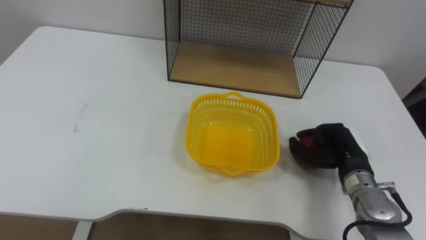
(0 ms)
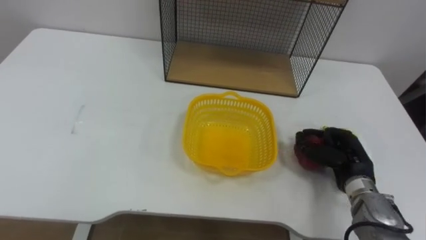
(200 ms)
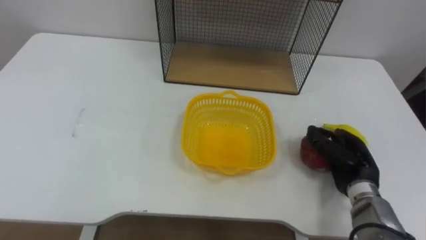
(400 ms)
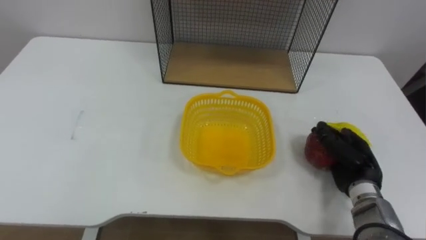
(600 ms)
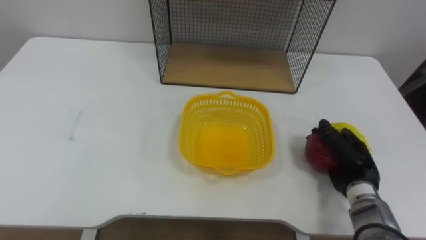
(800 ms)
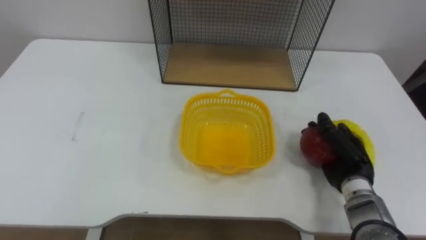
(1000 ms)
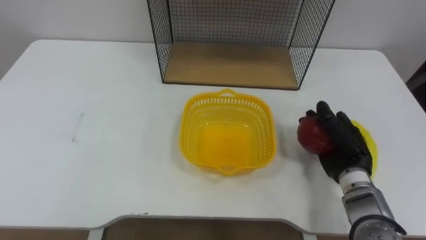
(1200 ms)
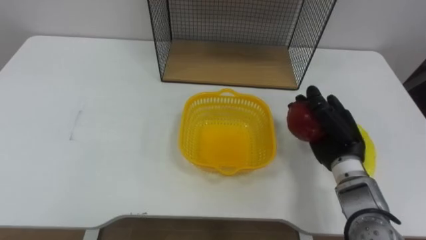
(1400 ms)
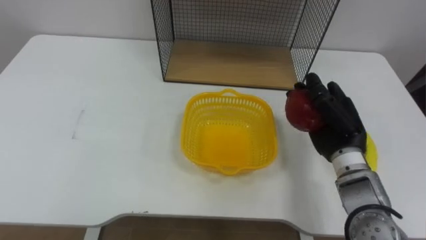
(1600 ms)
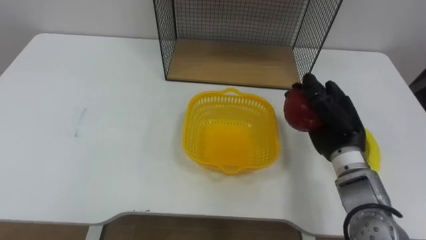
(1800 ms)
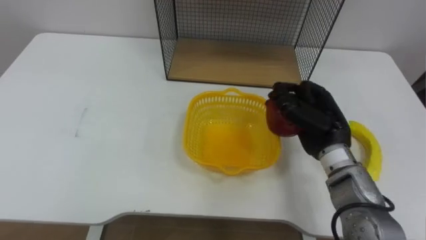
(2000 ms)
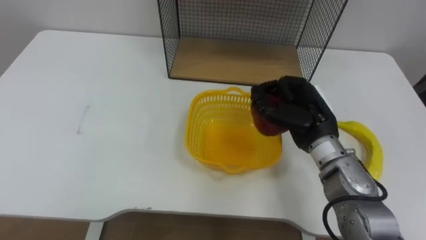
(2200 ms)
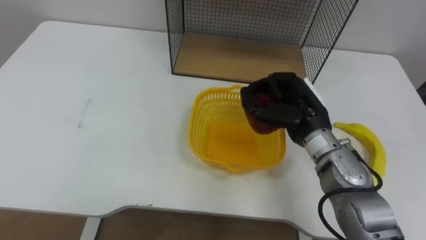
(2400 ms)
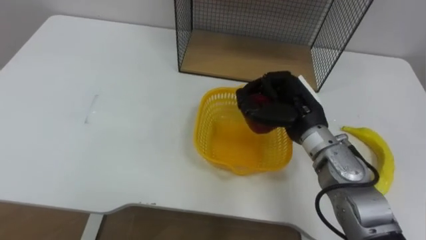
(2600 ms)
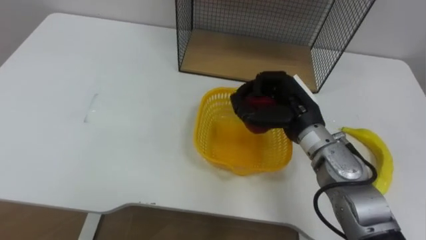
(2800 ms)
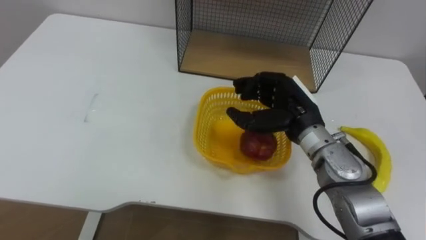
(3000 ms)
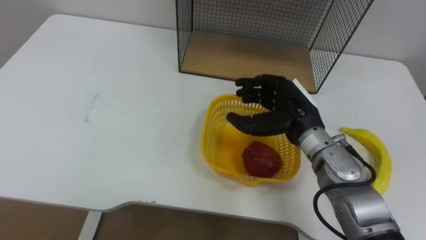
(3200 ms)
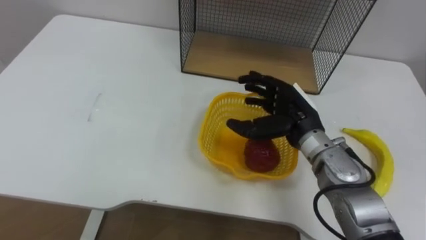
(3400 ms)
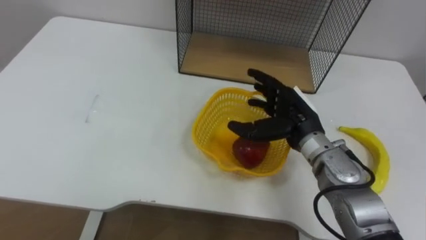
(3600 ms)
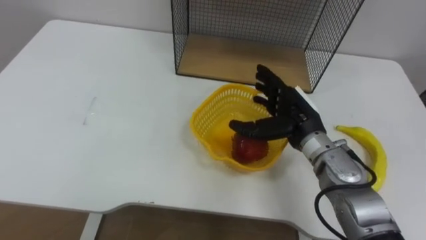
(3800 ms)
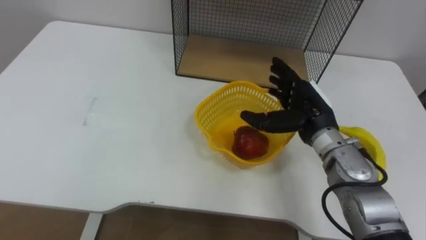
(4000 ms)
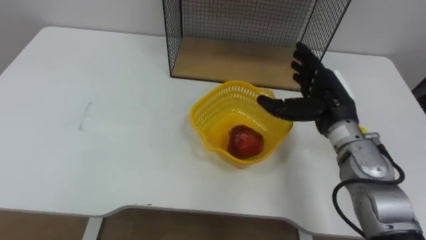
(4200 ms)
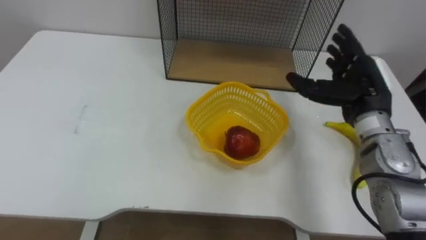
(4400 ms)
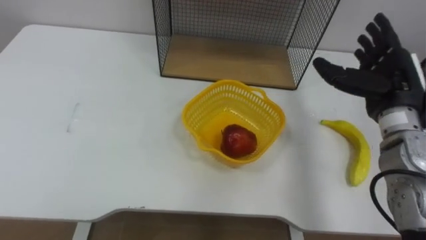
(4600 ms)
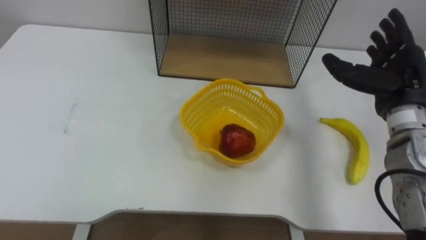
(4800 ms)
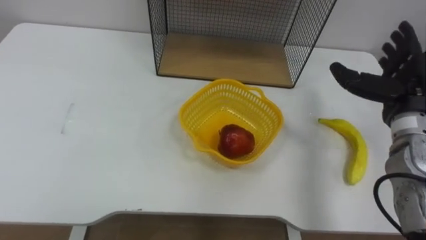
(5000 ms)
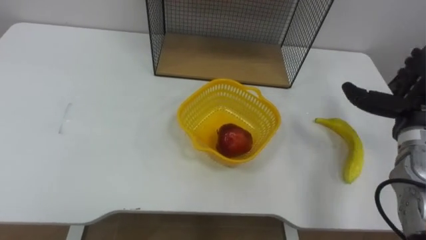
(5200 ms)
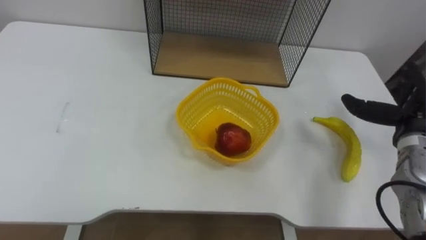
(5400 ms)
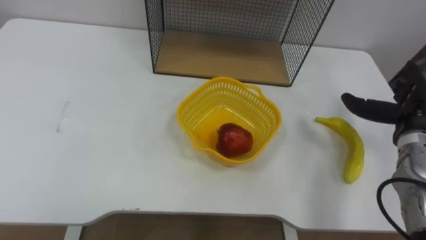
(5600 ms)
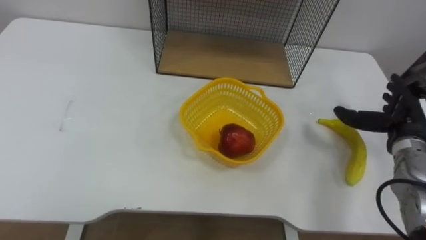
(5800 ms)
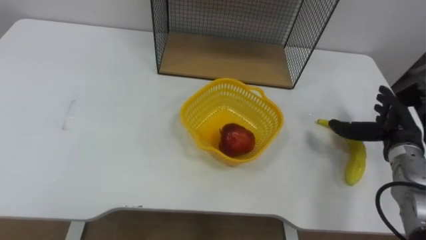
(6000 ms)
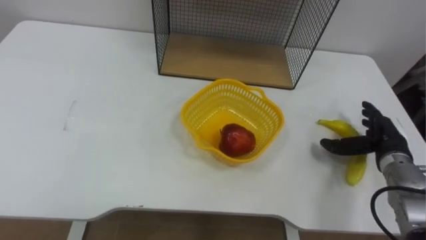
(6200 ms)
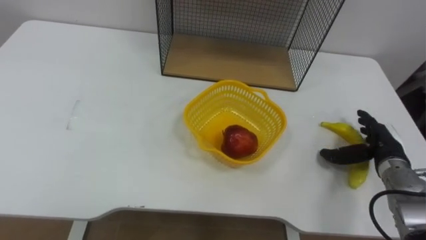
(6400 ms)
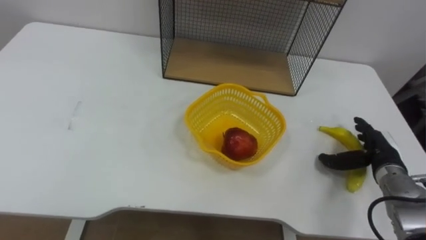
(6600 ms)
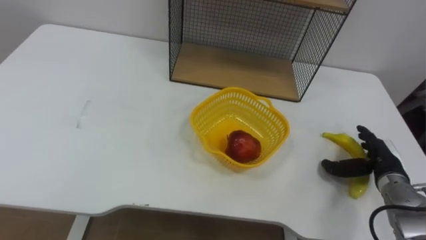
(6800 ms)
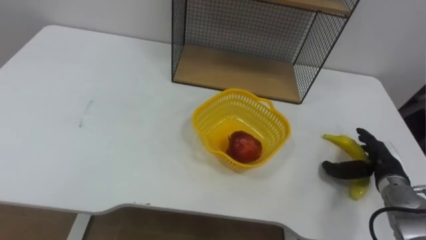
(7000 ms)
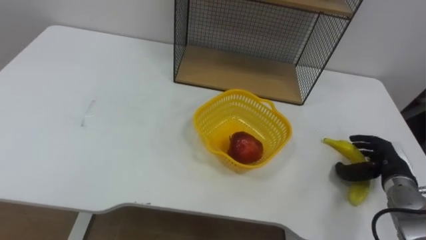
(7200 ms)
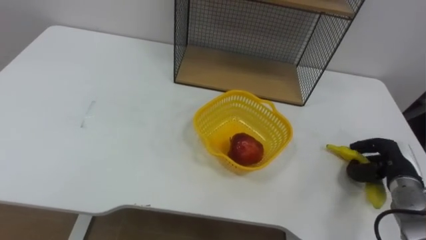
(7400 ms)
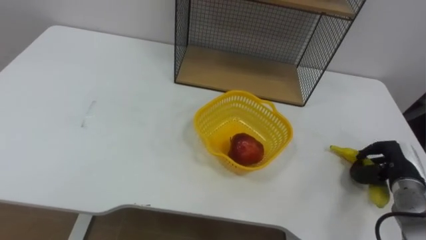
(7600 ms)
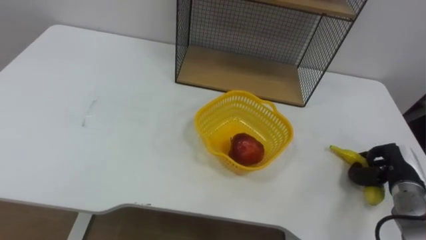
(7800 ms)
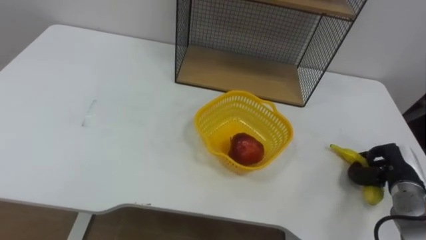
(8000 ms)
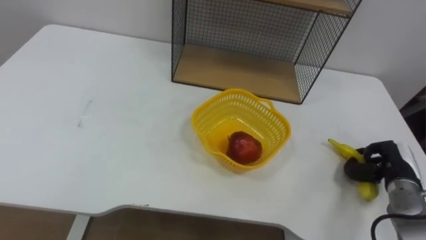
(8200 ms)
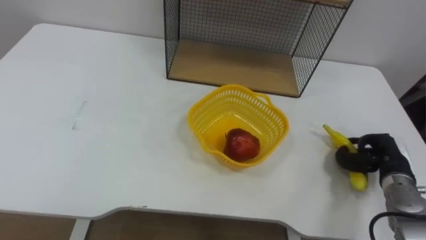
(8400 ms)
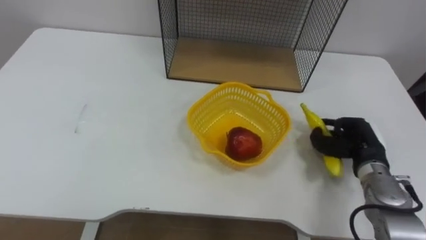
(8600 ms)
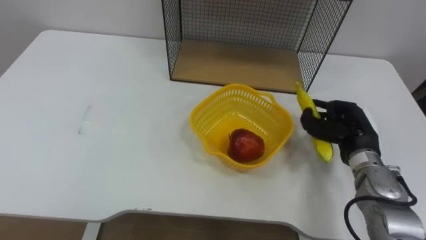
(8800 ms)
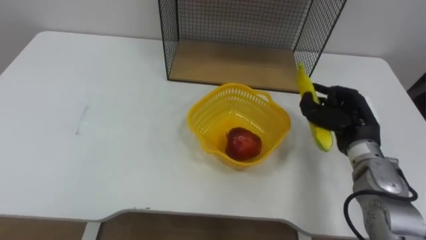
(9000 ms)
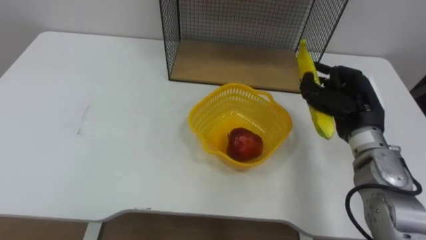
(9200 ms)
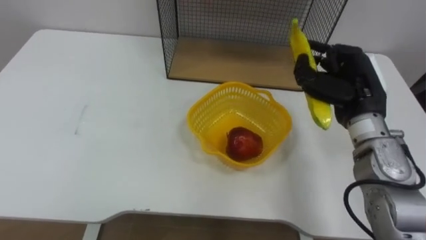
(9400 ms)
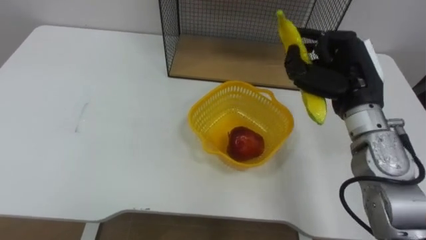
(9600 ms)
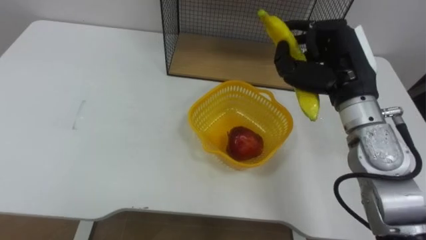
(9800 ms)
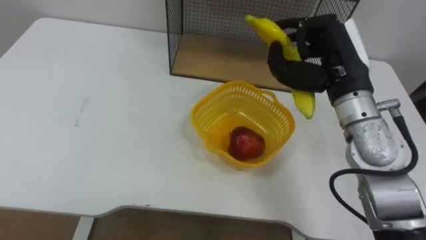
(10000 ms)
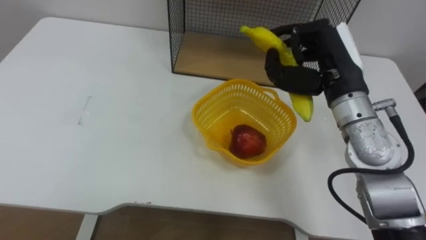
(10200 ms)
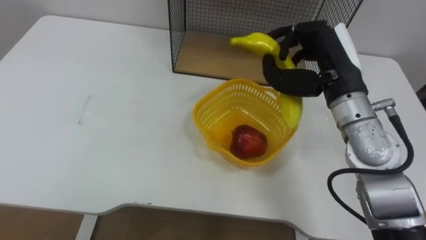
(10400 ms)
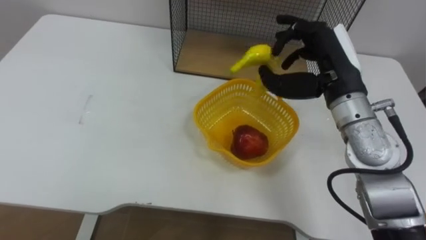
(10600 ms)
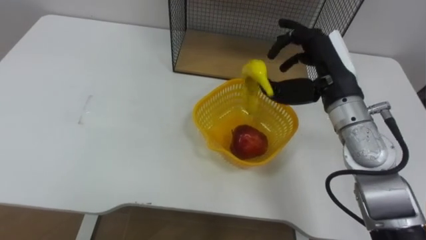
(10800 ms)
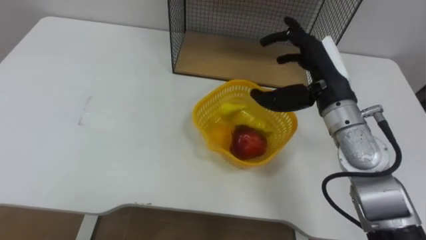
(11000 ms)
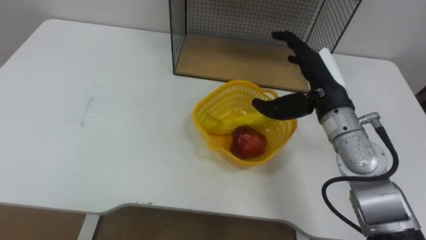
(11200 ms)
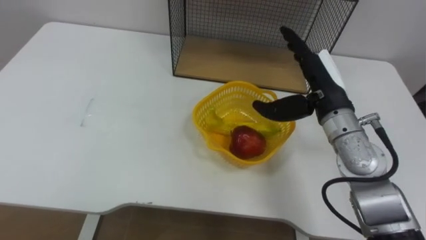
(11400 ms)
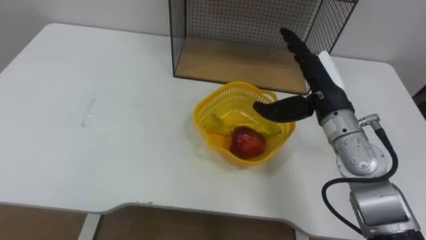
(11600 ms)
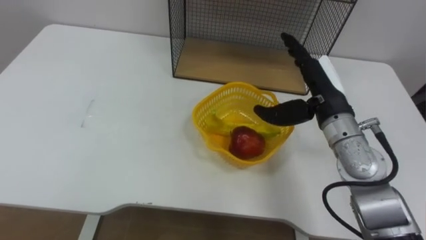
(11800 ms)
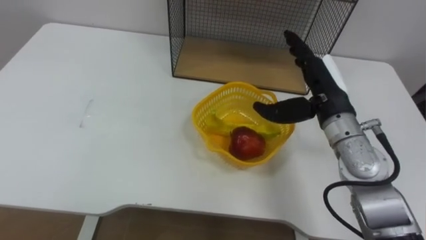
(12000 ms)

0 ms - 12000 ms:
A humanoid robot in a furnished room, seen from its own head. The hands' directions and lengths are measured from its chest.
Task of the whole recording: Put the fruit on the table into the basket, then place the basket on the shelf.
0 ms - 1600 ms: The right hand moves upward, some 10 cm.
1600 ms - 3000 ms: The right hand heads to the left, covering approximately 10 cm.
3000 ms - 4400 ms: The right hand travels to the right by some 10 cm, and opens.
4400 ms - 6000 ms: The right hand moves to the right and downward, roughly 15 cm.
6000 ms - 7600 ms: The right hand shifts roughly 10 cm downward and backward, and closes.
7600 ms - 9000 ms: The right hand is displaced to the left, upward and forward by about 15 cm.
9000 ms - 10400 ms: The right hand moves upward and to the left, about 15 cm.
10400 ms - 12000 ms: The right hand goes roughly 5 cm downward, and opens.

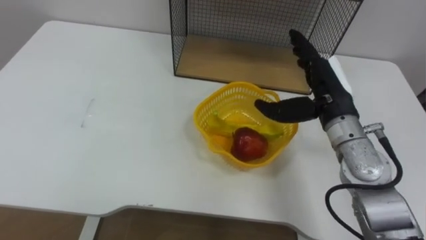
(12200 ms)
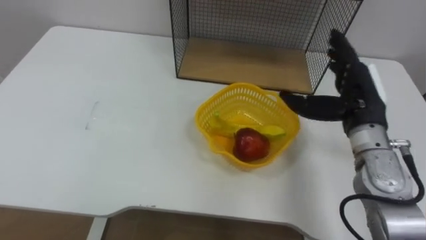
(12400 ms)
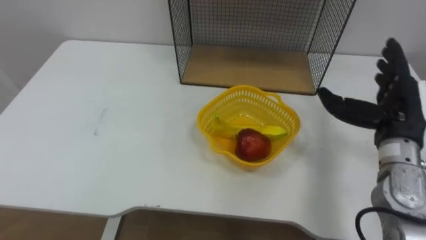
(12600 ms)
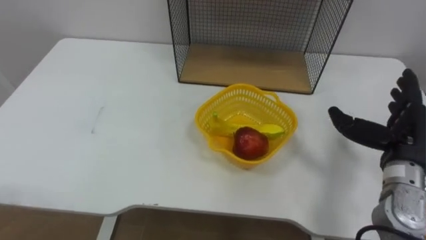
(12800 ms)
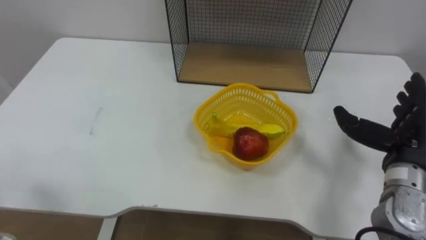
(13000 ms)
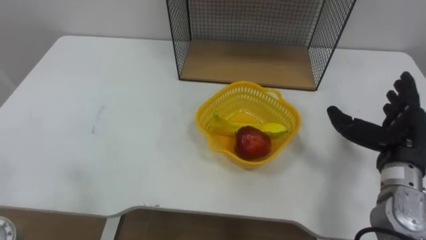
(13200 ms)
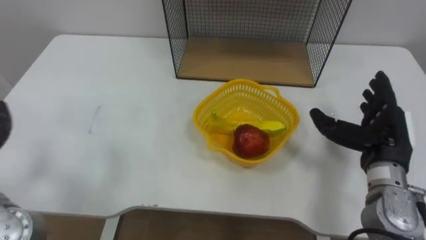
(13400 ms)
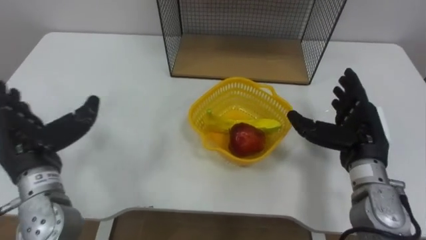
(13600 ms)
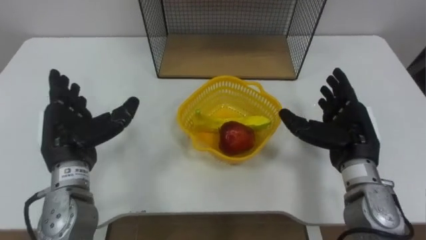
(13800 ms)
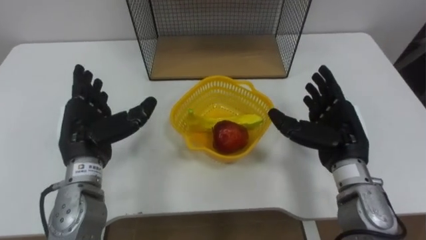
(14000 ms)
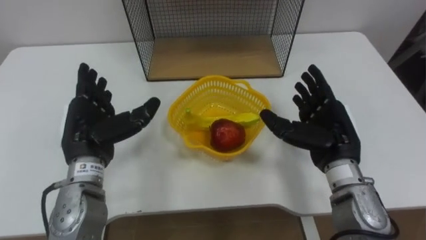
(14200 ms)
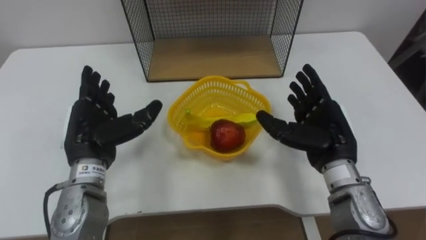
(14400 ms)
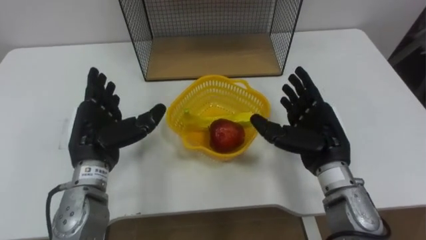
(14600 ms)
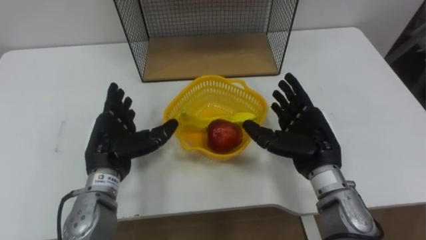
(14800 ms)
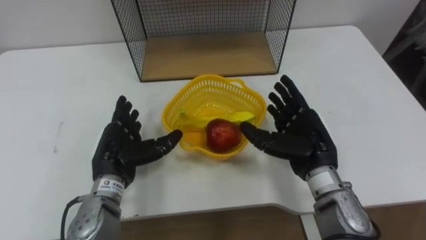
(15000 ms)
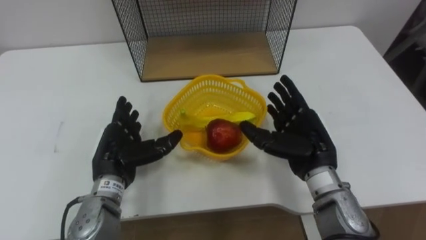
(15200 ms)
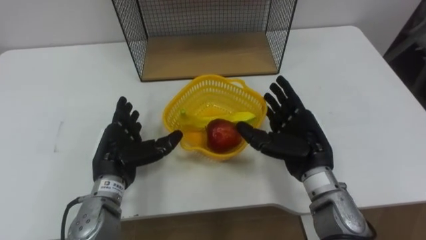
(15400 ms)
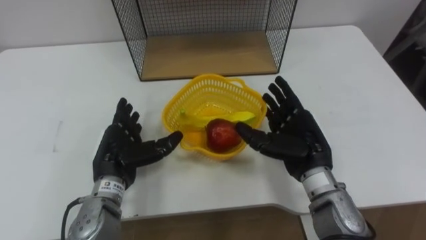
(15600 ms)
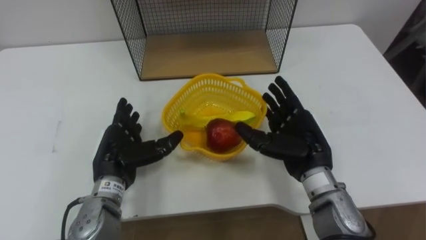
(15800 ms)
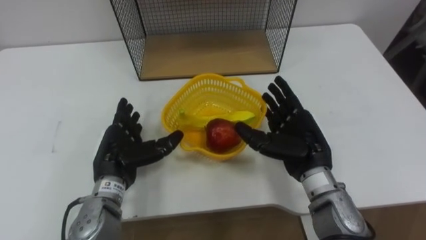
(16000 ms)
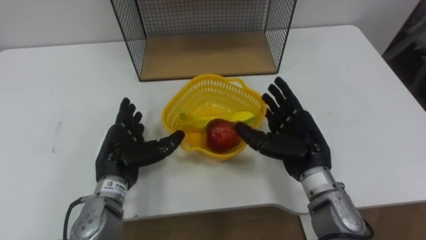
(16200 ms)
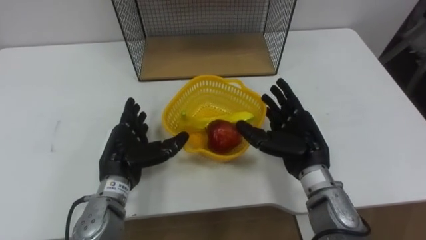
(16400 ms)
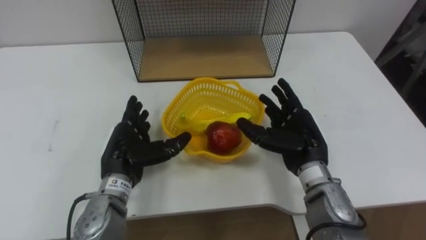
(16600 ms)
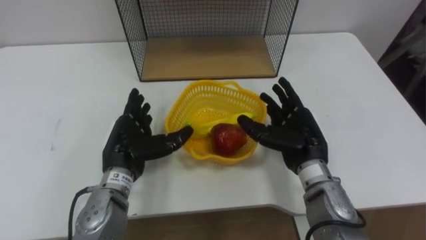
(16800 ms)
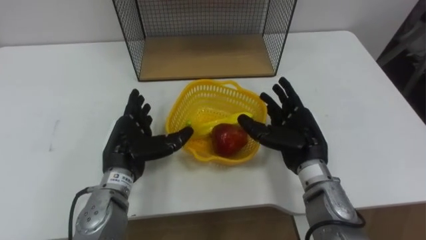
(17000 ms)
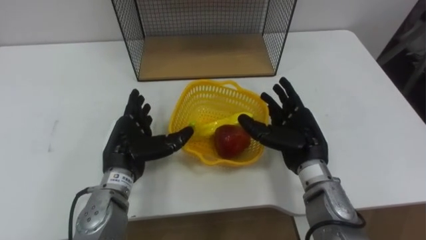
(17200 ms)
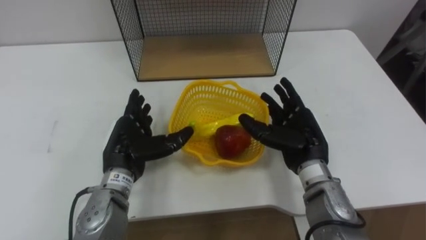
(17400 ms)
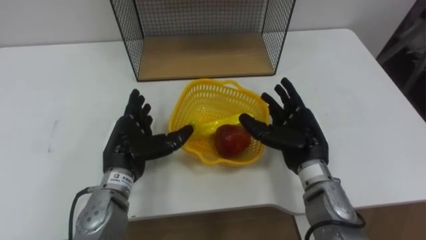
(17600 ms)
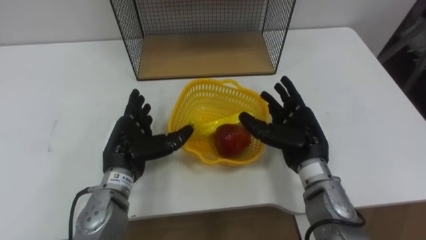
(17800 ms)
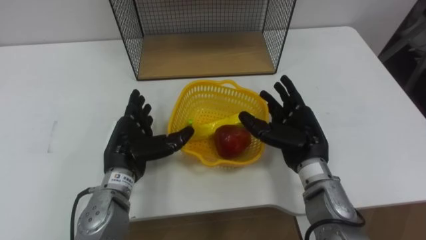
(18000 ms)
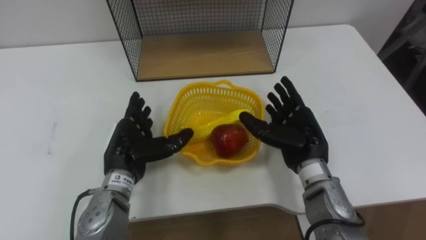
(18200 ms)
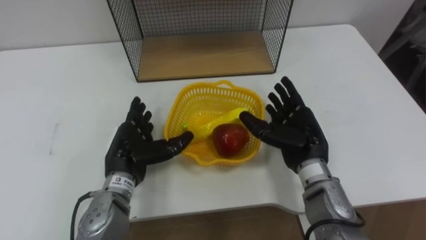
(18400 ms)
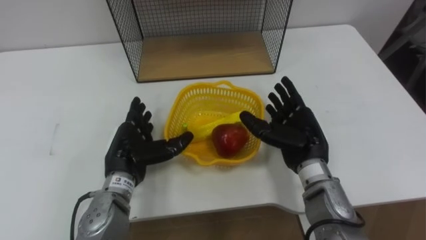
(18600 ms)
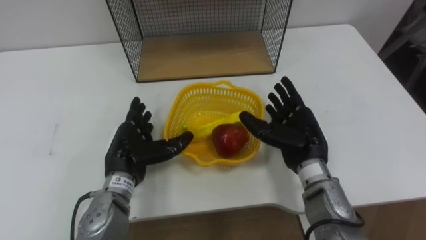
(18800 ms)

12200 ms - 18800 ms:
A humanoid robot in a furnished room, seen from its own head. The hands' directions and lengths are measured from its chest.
Task of the whole recording: Put the fruit on the table into the basket, then place the basket on the shelf.
12200 ms - 13800 ms: The right hand goes about 5 cm downward and backward.
13800 ms - 15400 ms: The left hand goes roughly 10 cm to the right and downward, while the right hand is displaced to the left by roughly 10 cm.
15400 ms - 17200 ms: The hands stay close to where they were, moving slightly.
17200 ms - 18800 ms: Neither hand changes place.
